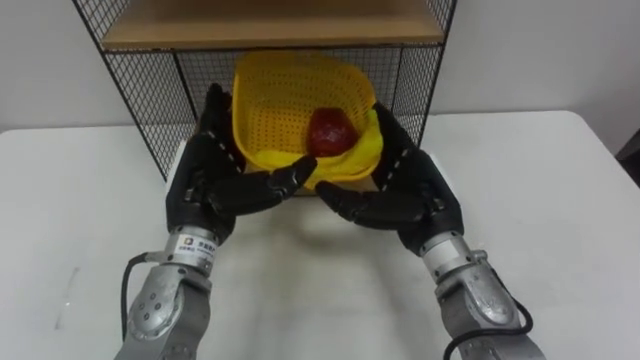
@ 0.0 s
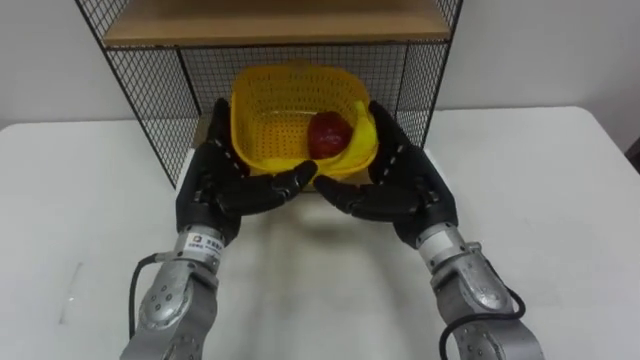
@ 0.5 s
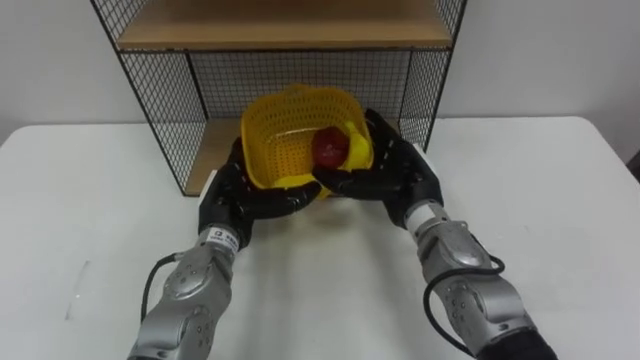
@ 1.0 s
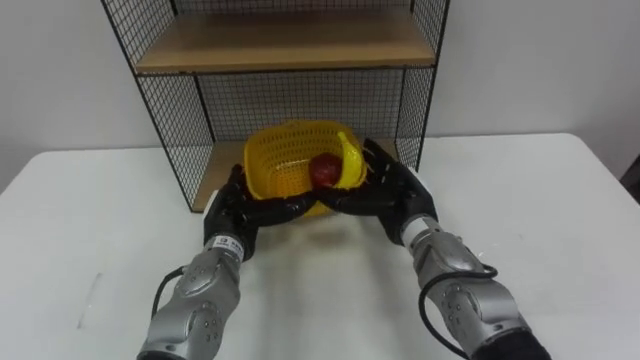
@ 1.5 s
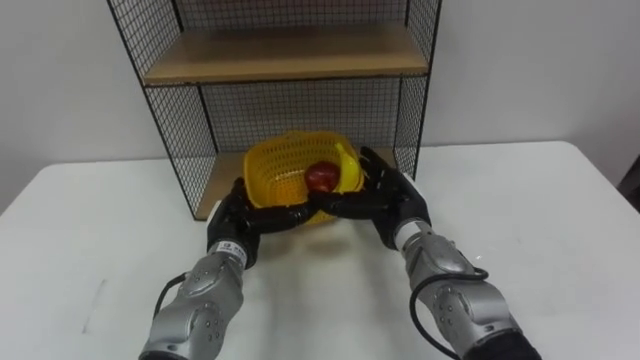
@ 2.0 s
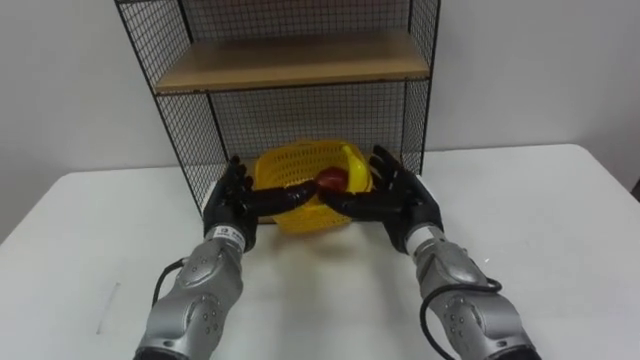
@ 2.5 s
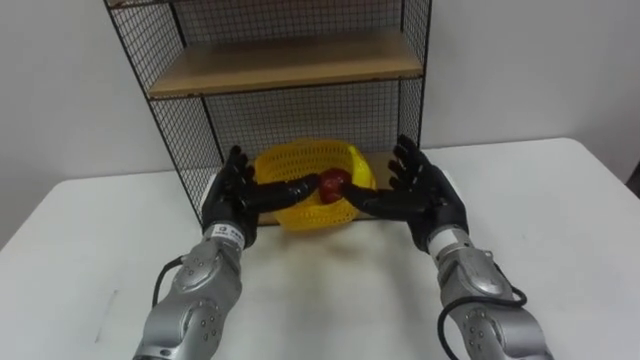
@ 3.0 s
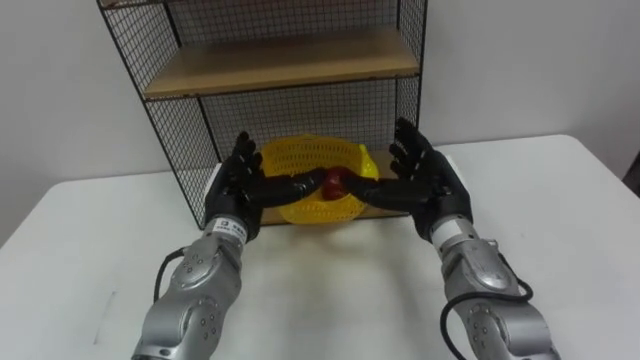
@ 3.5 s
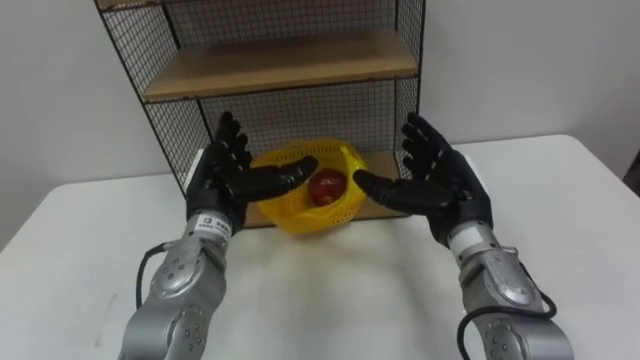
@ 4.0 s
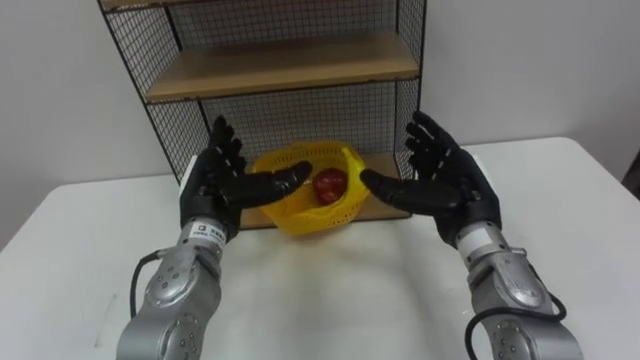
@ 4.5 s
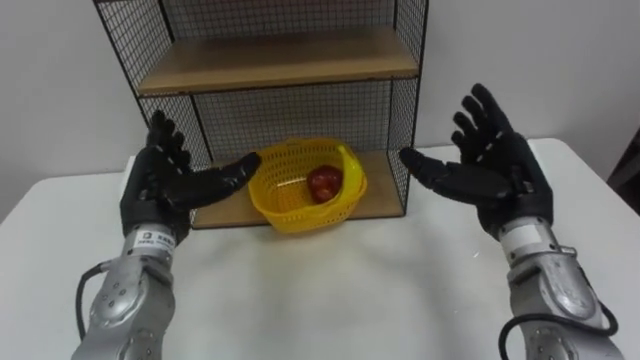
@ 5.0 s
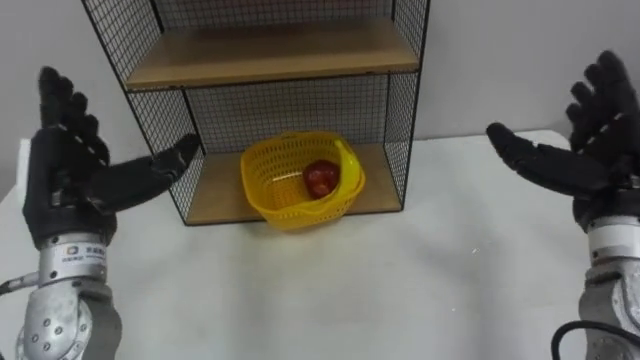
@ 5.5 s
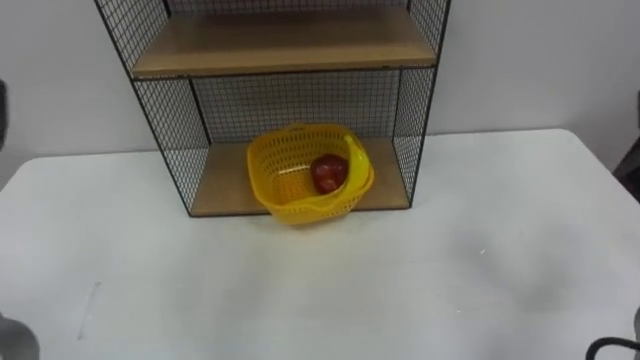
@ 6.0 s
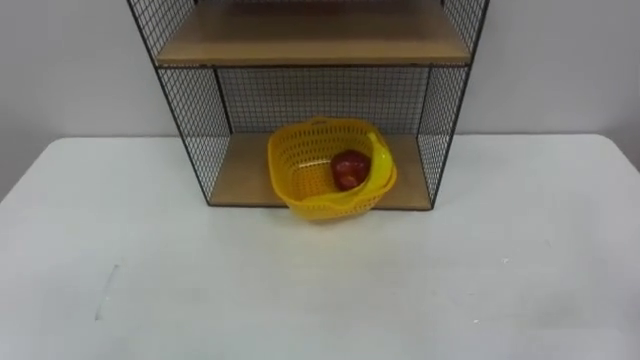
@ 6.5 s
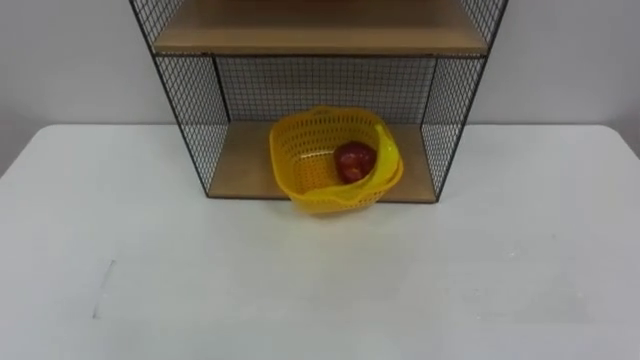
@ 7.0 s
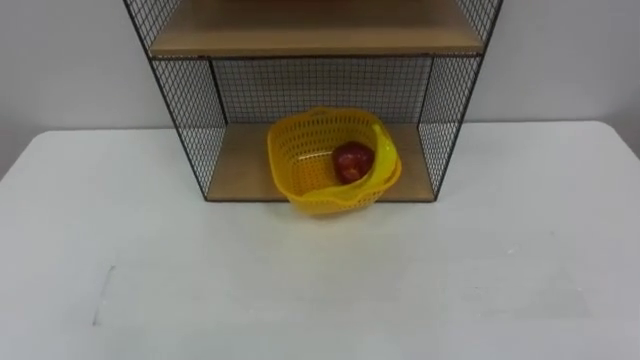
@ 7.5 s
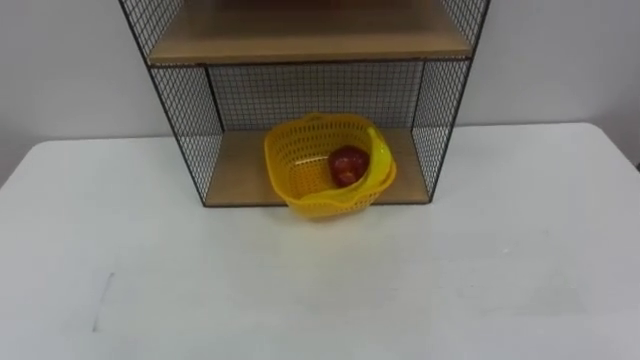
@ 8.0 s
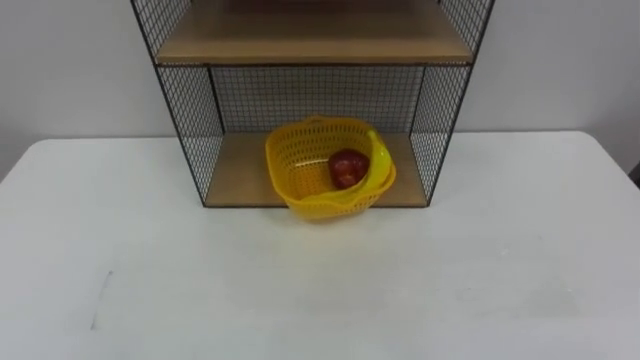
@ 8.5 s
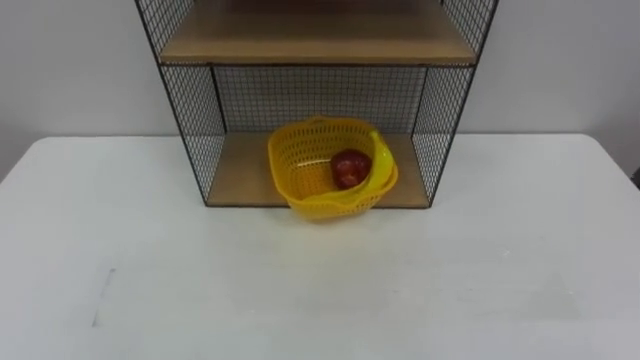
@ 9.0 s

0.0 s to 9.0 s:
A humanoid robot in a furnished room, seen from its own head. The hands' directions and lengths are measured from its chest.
Task of the whole recording: Put the fruit on the table into the basket, then place the basket on the shelf.
0.0 to 2.0 s: The left hand is displaced downward by approximately 10 cm. Meanwhile the right hand goes roughly 5 cm downward.
2.0 to 4.5 s: The left hand goes approximately 10 cm upward. The right hand travels to the right and upward by approximately 10 cm.

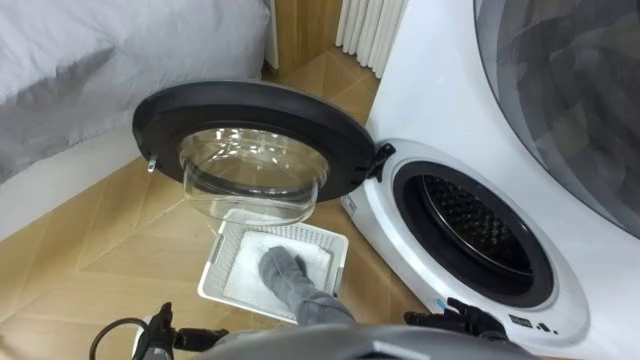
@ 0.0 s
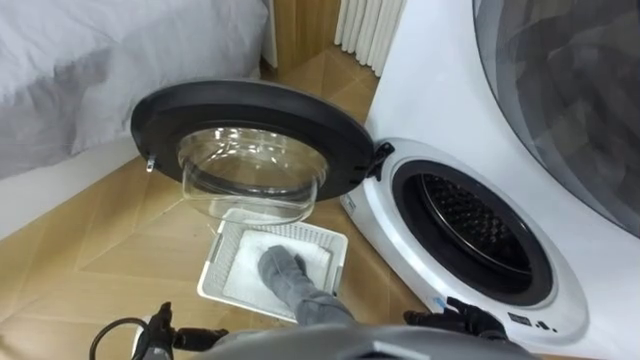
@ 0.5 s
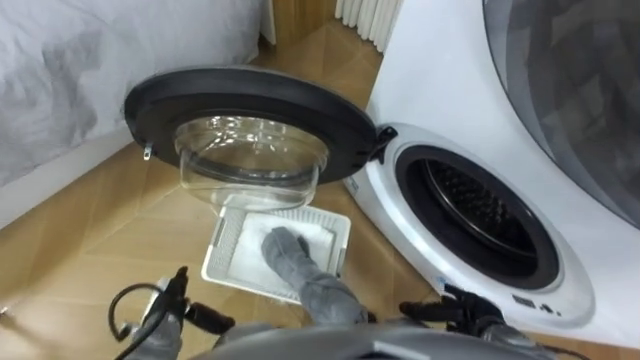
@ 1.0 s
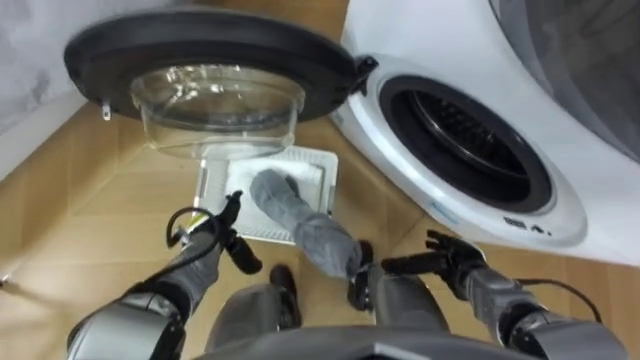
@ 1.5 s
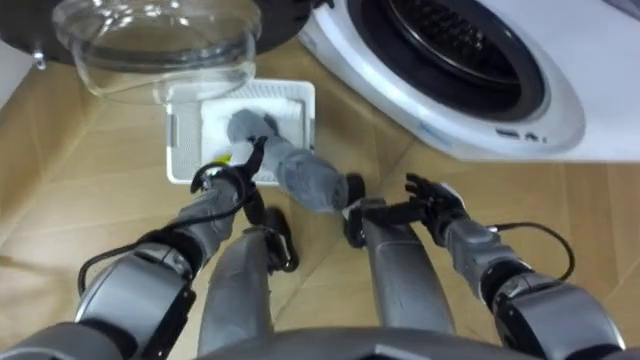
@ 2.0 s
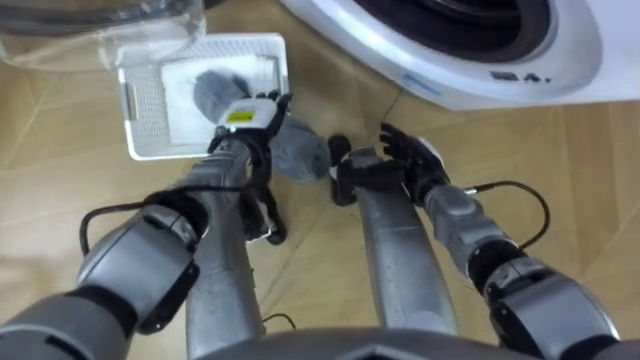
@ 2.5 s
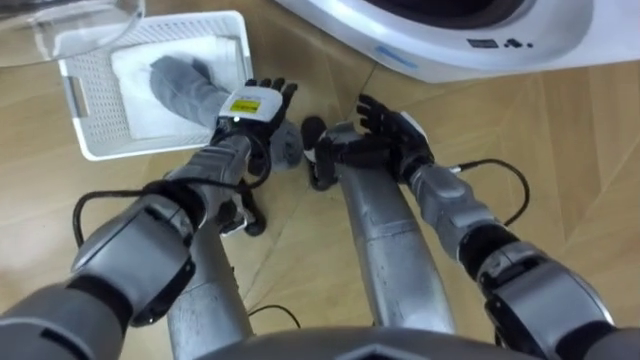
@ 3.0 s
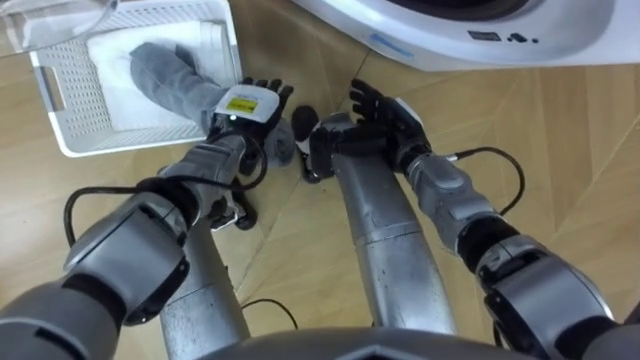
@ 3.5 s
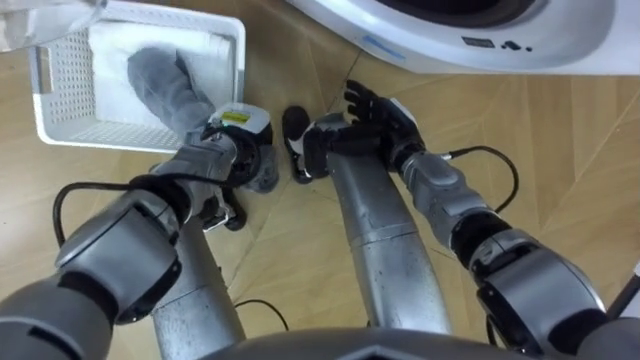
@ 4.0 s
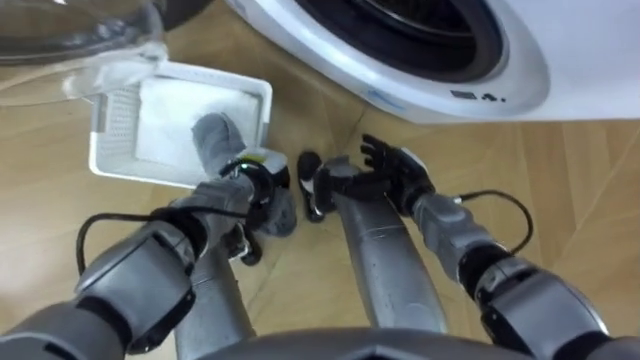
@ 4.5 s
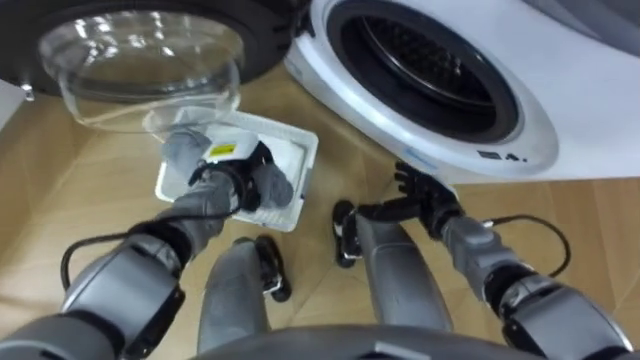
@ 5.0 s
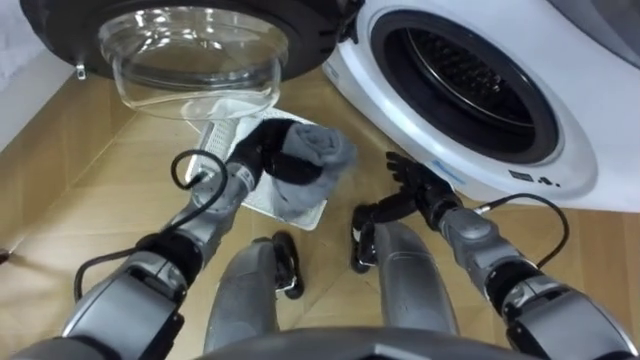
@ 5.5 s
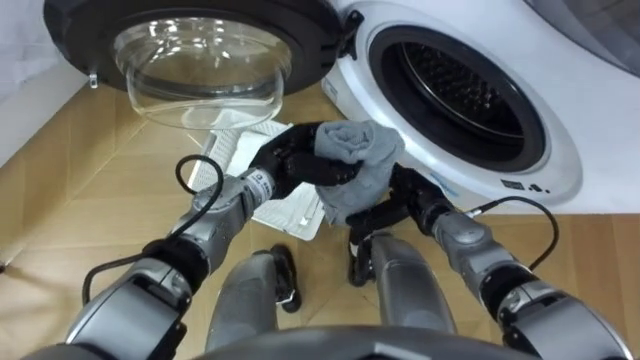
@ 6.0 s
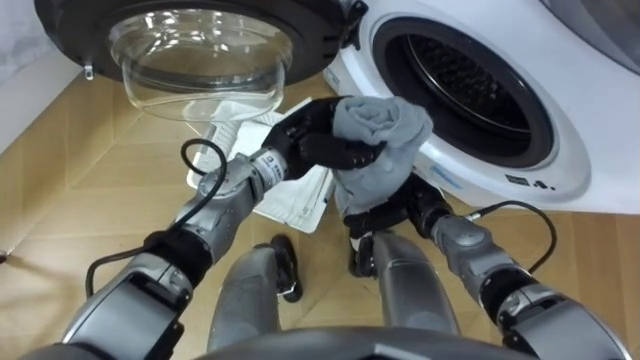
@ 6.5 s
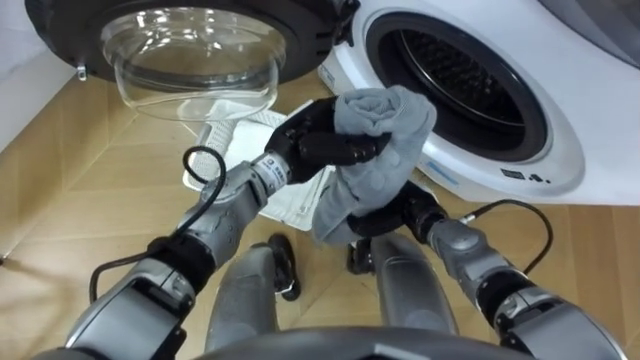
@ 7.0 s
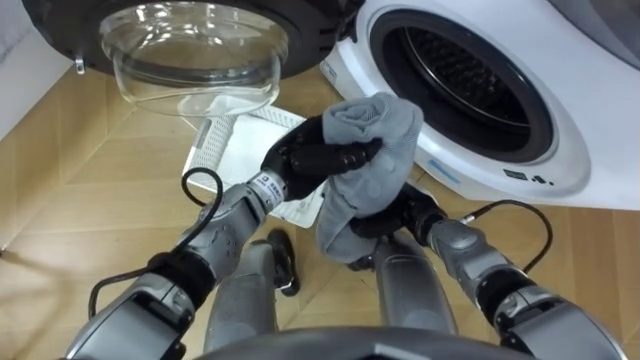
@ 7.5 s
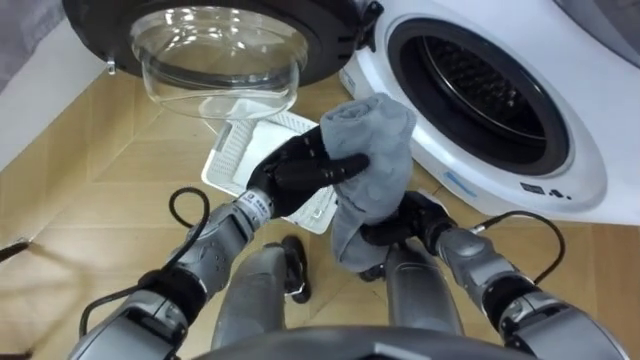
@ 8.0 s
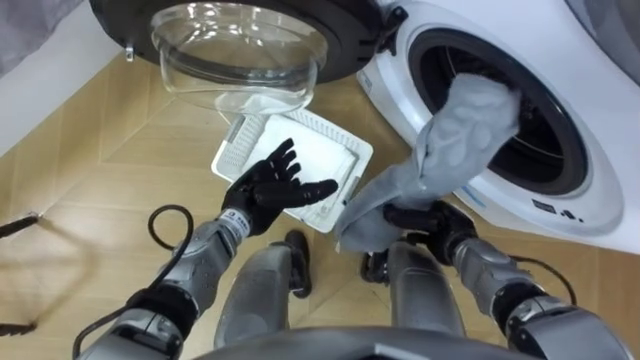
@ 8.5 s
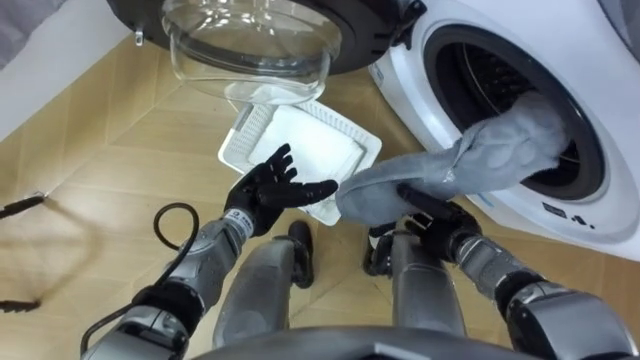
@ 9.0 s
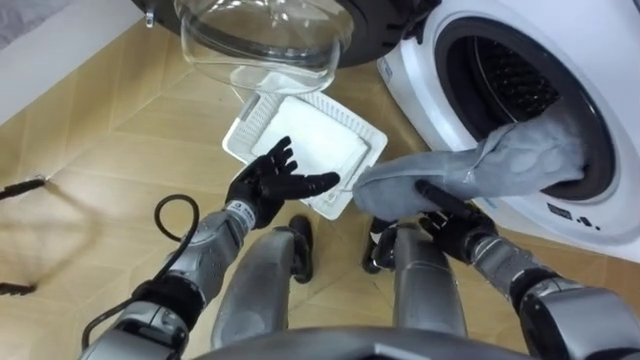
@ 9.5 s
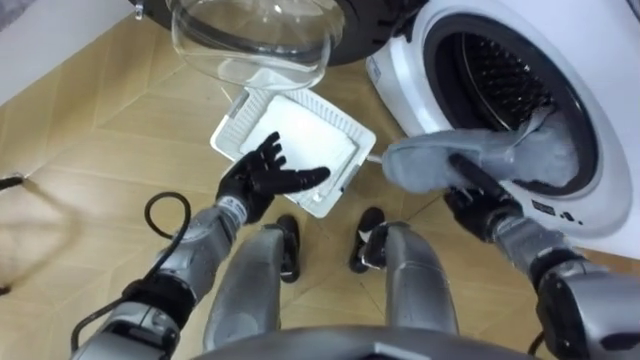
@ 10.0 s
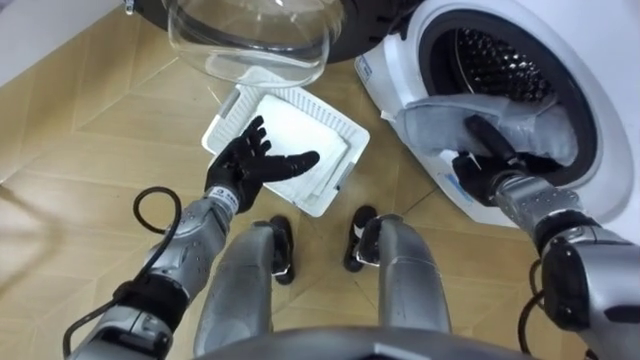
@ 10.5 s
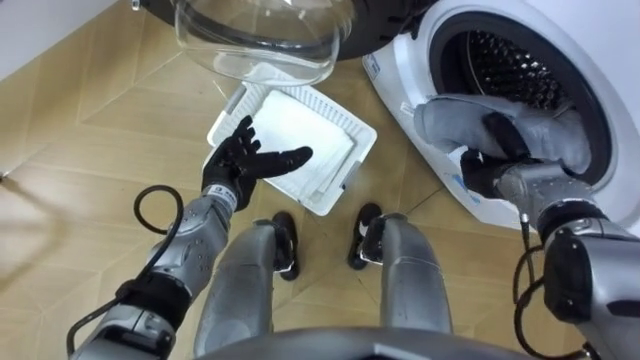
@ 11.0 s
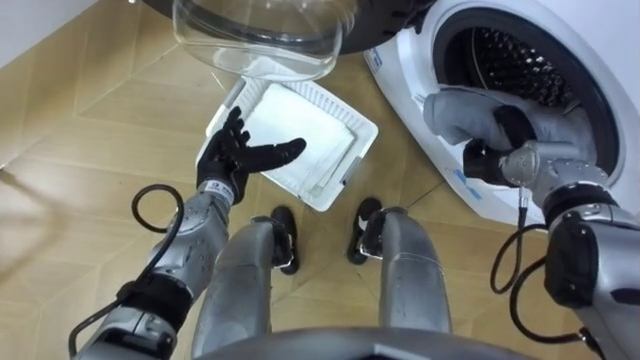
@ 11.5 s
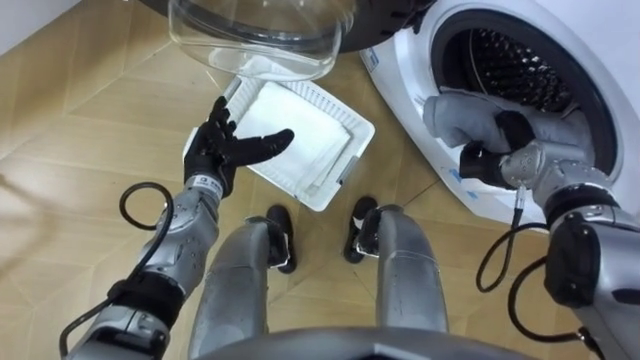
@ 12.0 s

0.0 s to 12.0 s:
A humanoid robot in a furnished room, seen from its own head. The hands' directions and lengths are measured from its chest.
Task of the whole recording: Take the towel from the basket and put it into the washing machine.
2.0 to 4.0 s: The right hand moves upward, forward and to the left, approximately 15 cm. Meanwhile the left hand closes up.
4.0 to 6.0 s: The left hand heads to the right, covering roughly 5 cm. Meanwhile the right hand travels backward, downward and to the right by some 10 cm.
6.0 to 8.0 s: The right hand closes its fingers.
8.0 to 10.0 s: The left hand heads to the left, covering about 5 cm. The right hand goes approximately 10 cm to the right.
10.0 to 12.0 s: The left hand is displaced to the left by approximately 5 cm. Meanwhile the right hand moves some 5 cm.
